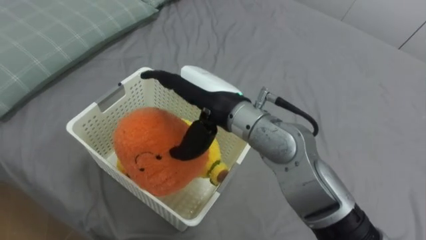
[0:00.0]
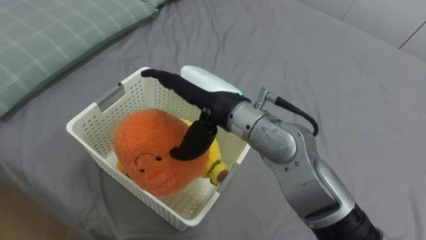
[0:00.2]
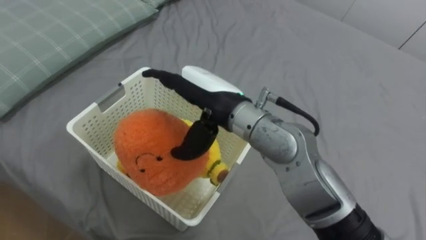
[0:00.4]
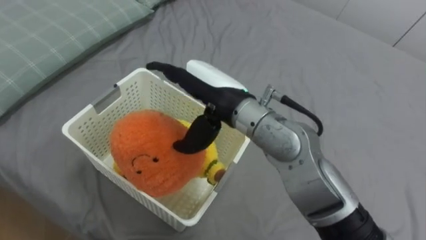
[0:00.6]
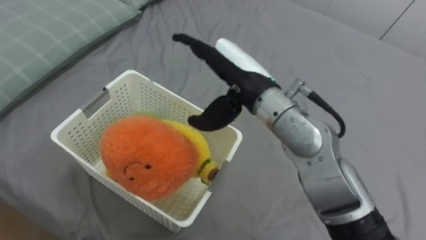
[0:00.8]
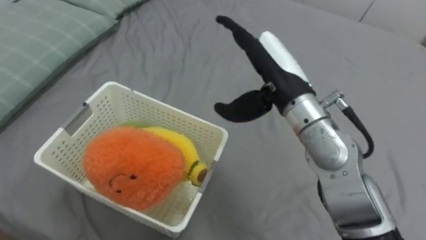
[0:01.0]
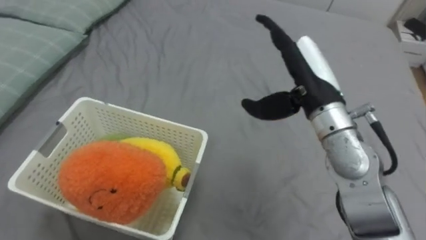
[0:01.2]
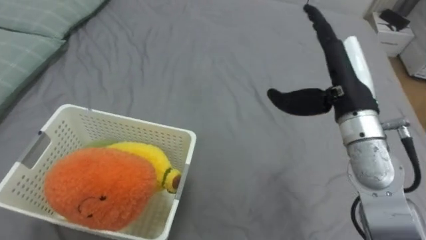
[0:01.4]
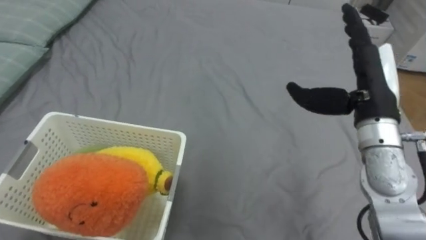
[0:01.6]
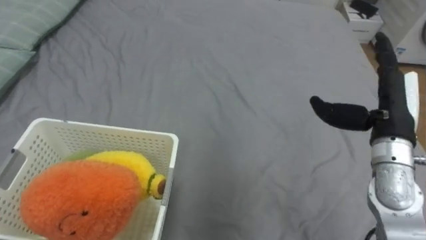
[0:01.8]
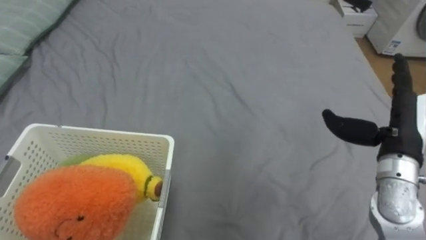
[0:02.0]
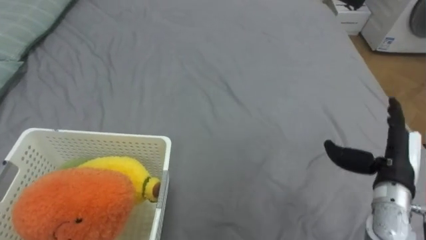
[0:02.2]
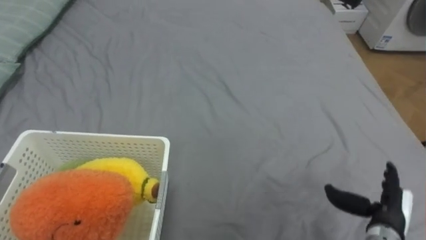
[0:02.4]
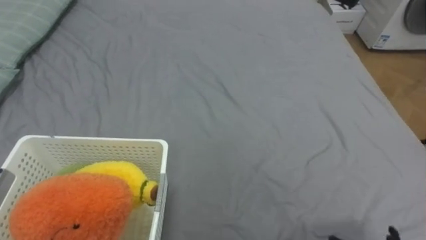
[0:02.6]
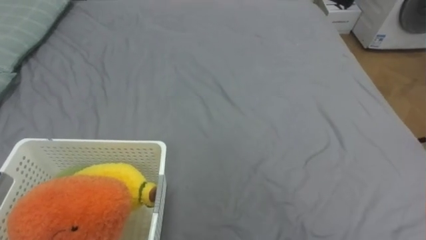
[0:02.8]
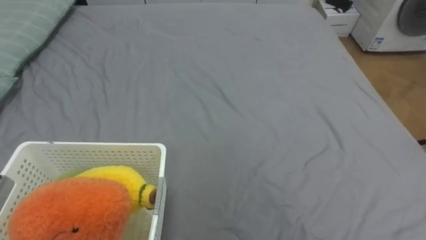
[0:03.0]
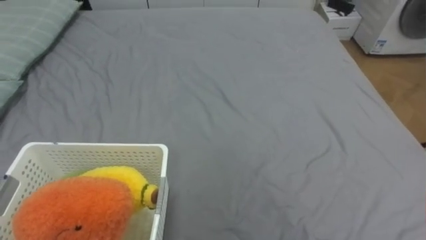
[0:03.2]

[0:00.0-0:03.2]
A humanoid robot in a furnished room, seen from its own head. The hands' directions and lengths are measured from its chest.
Task of the whole recording: Put the toys on the bed into the basket on the left.
0:00.0 to 0:01.6: The right hand is displaced to the right by some 25 cm.

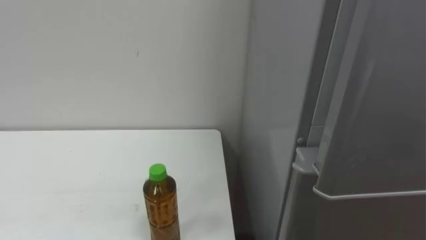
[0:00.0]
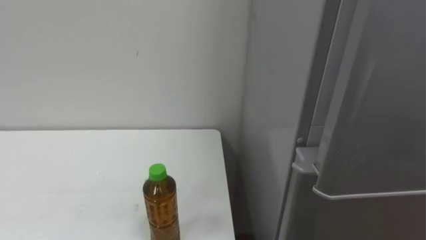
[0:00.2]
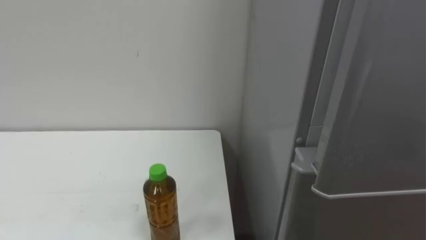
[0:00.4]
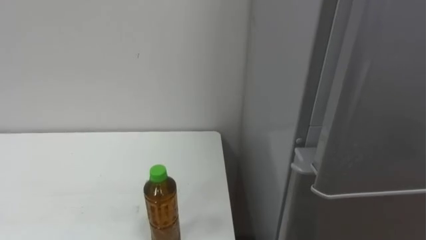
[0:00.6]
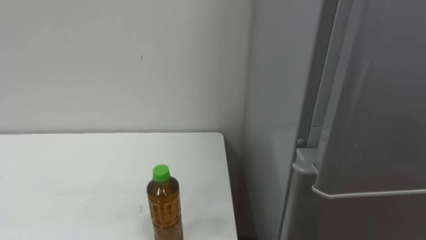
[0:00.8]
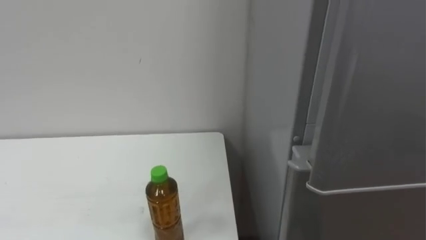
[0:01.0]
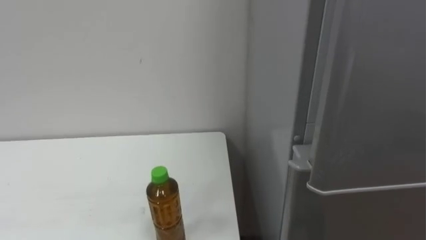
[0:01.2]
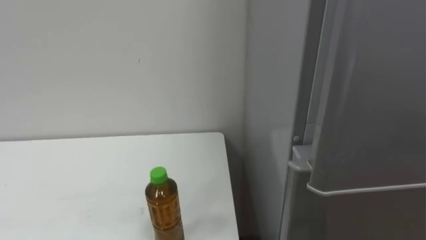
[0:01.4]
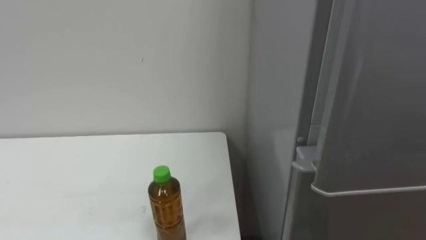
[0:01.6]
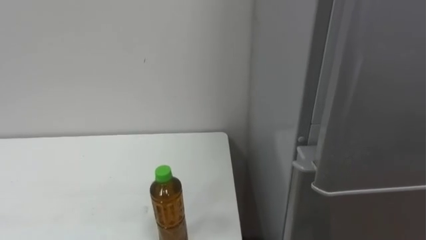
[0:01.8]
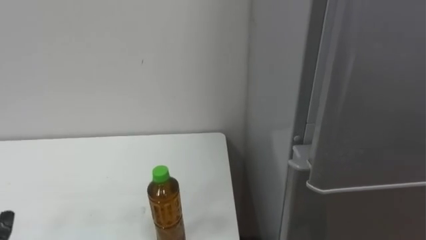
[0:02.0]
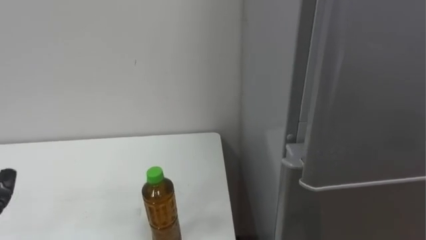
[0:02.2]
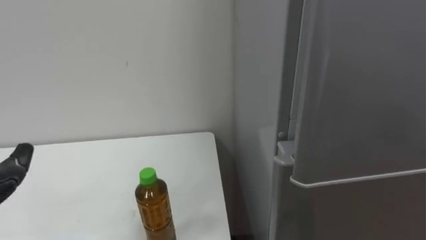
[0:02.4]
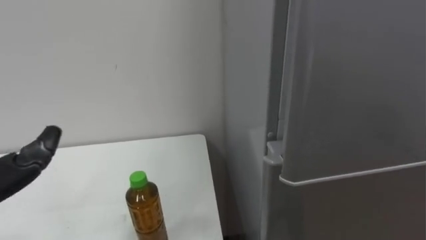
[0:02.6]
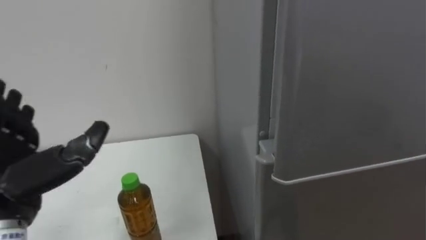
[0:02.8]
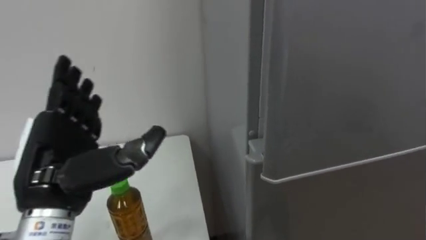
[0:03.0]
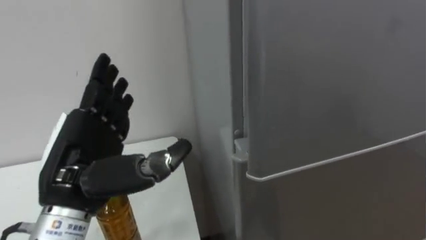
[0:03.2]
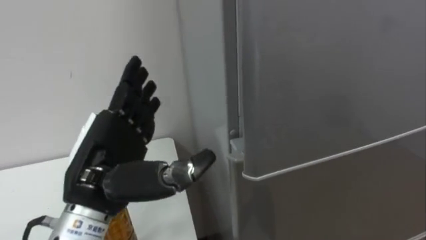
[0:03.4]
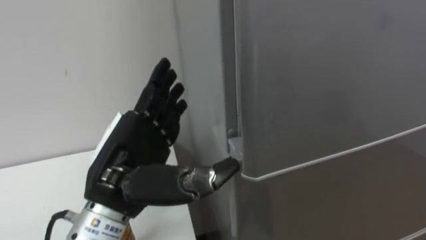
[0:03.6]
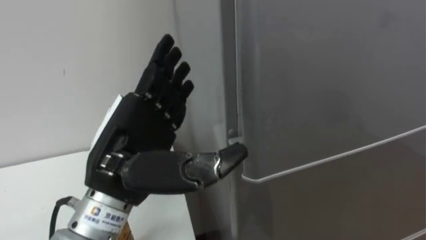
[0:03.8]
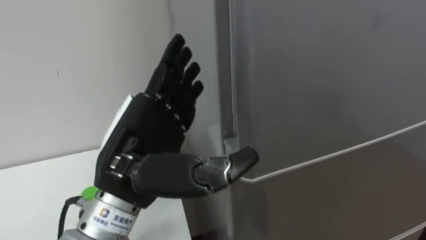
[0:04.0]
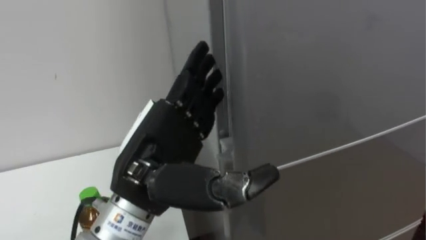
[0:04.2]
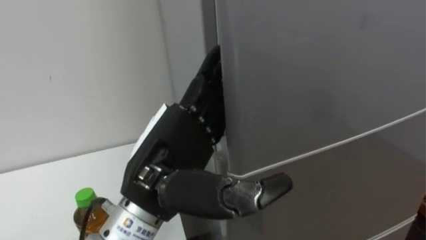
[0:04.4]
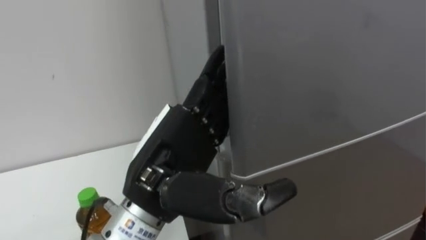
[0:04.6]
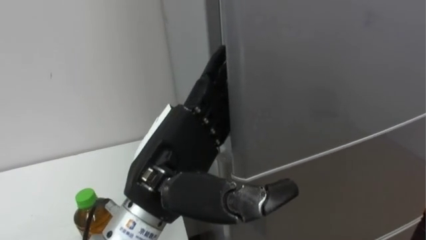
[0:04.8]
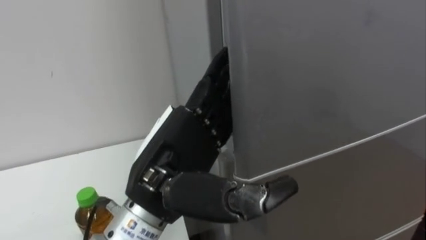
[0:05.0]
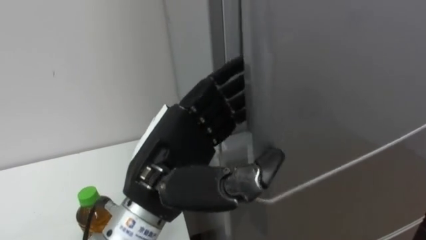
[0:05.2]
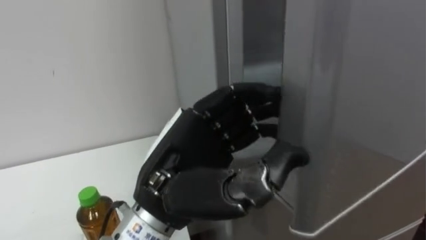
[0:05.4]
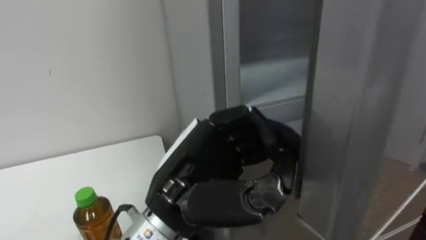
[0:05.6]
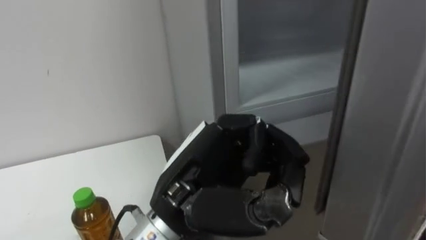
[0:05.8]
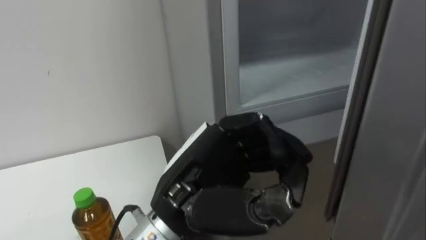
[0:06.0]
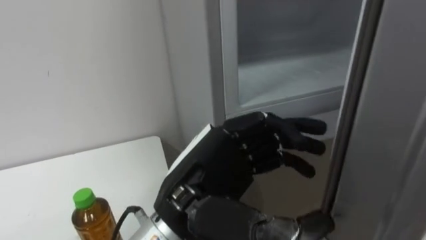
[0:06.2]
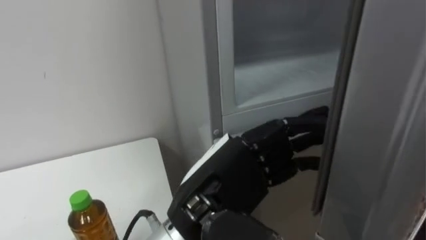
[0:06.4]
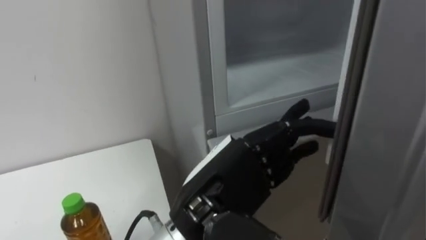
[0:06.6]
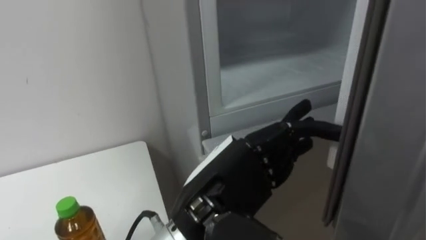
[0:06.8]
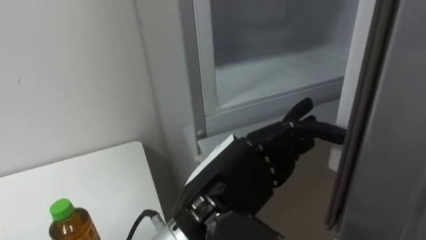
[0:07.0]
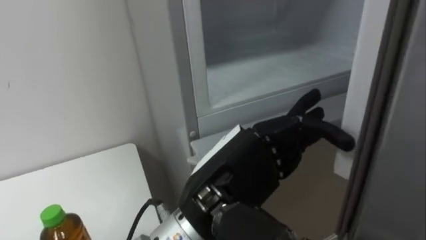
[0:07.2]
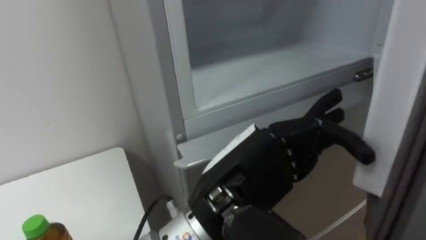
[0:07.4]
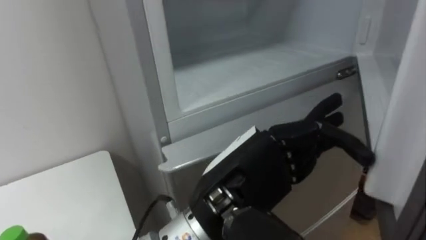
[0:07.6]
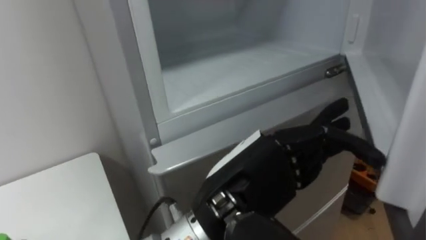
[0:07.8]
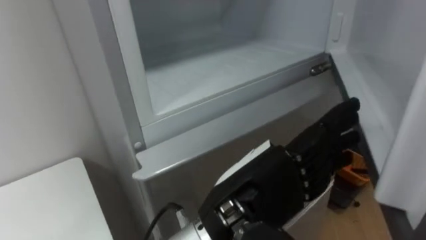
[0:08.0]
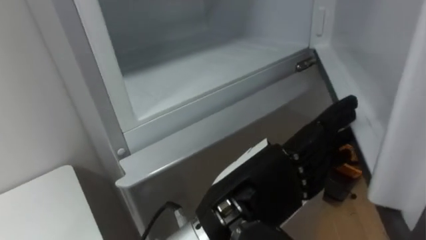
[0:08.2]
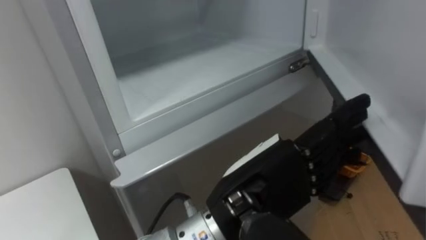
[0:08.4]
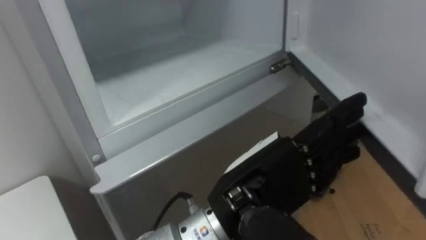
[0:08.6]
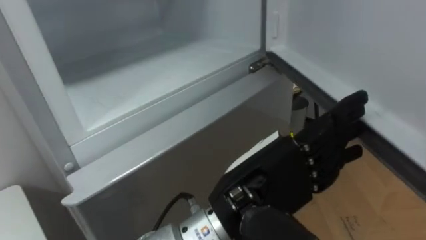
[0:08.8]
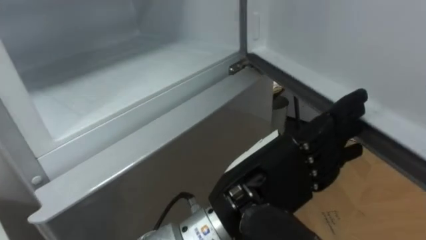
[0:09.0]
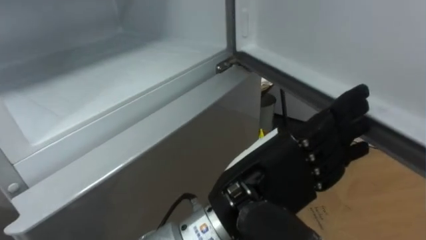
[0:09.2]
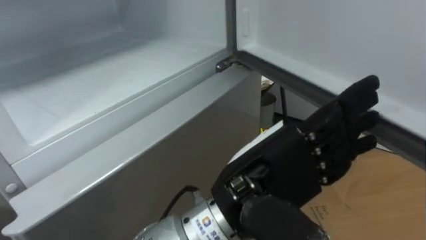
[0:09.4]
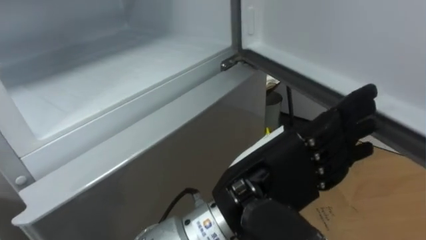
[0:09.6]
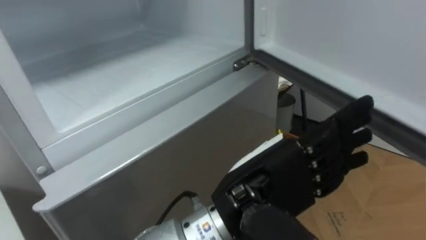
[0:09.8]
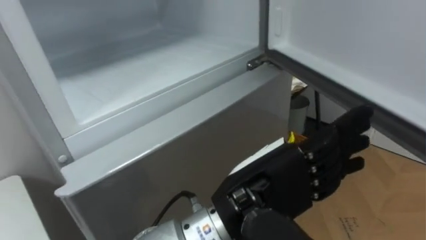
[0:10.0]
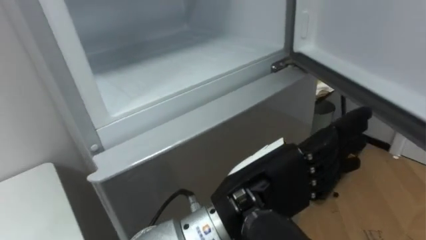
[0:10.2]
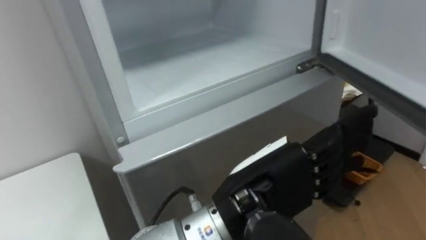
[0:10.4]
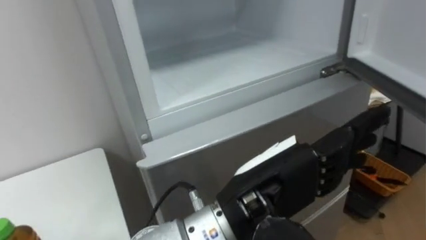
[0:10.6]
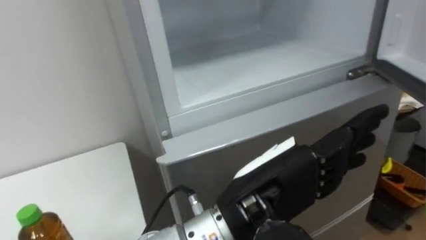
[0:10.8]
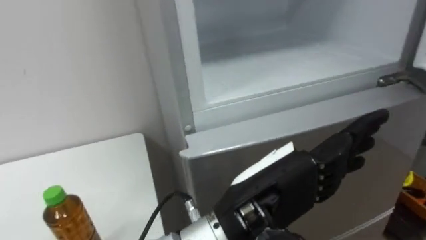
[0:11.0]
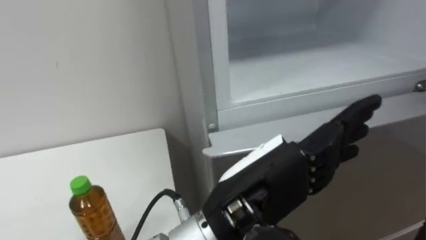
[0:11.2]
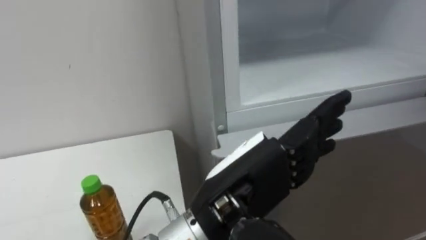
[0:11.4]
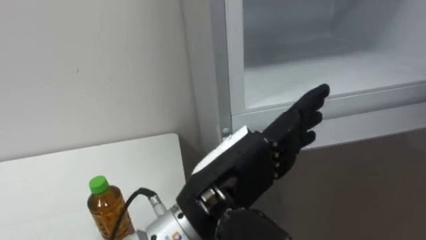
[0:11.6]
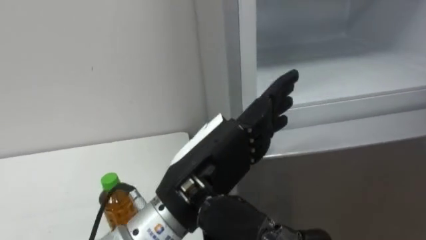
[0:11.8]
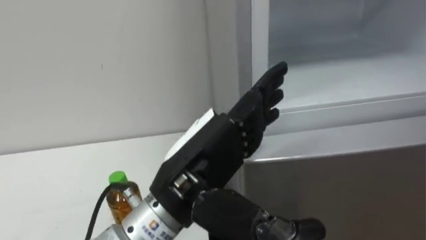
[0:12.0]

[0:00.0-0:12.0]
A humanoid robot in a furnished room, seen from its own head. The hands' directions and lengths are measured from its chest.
Task of the whole recording: Open the upper refrigerator door, put the drink from the table into the refrigerator, and then close the refrigerator door.
0:03.0 to 0:04.4: The left hand is displaced to the right by about 15 cm.
0:04.4 to 0:06.0: The left hand closes up.
0:06.0 to 0:07.6: The left hand opens up.
0:07.6 to 0:09.0: The robot rotates about 15 degrees to its right.
0:10.4 to 0:12.0: The left hand moves to the left, some 5 cm.

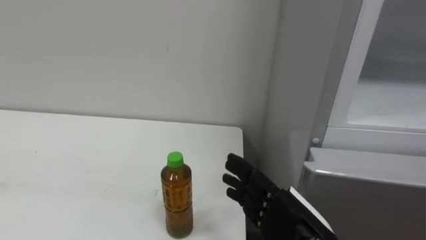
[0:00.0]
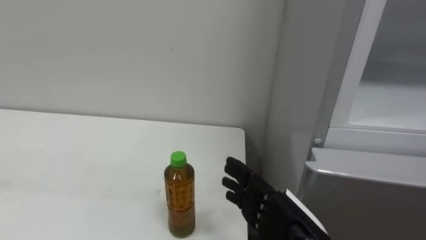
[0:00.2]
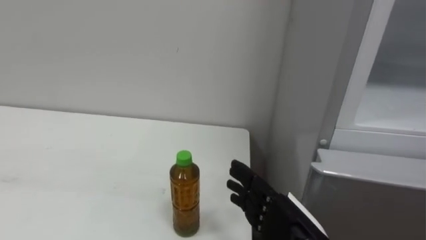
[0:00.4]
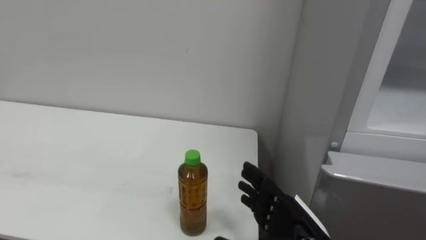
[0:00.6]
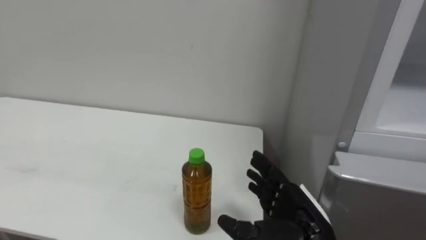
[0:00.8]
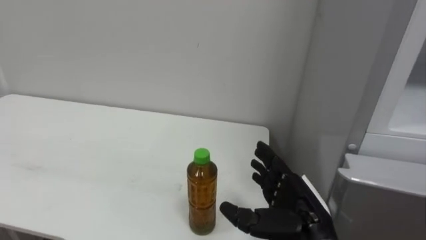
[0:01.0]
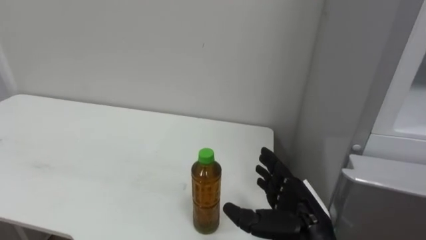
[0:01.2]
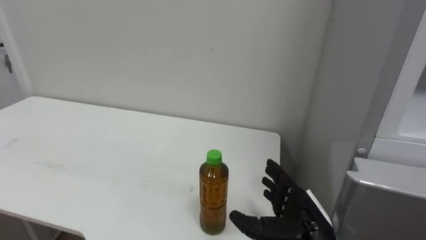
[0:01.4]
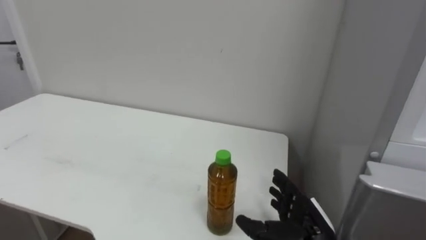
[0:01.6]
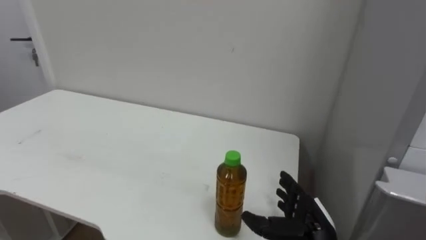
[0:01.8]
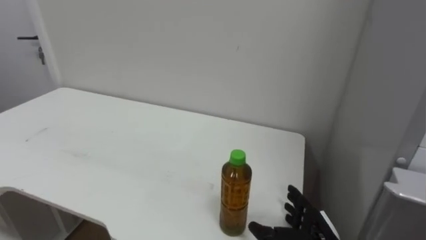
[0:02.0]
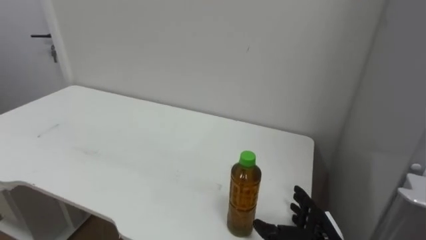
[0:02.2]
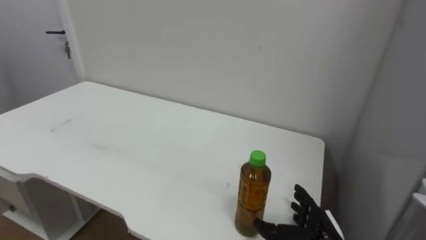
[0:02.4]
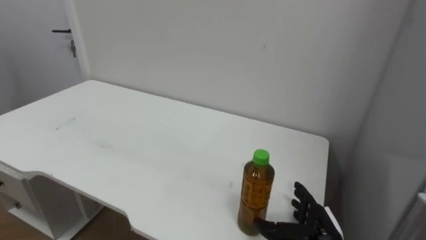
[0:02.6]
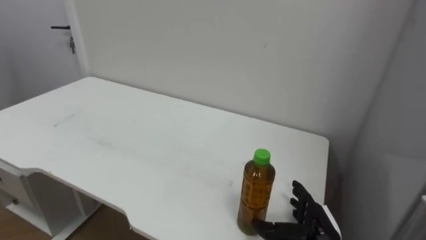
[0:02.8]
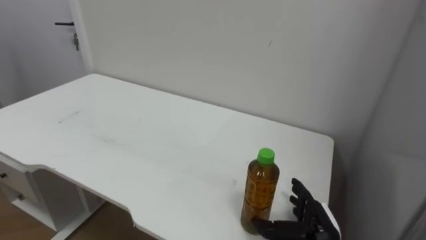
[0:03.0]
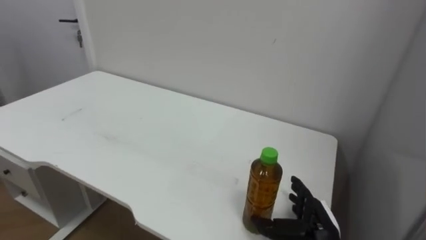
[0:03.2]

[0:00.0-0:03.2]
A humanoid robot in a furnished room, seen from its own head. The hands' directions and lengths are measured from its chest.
Task of the whole recording: Open the upper refrigerator door, put the drink from the table into the refrigerator, and then close the refrigerator door.
0:00.0 to 0:01.6: The right hand goes roughly 10 cm downward and forward.
